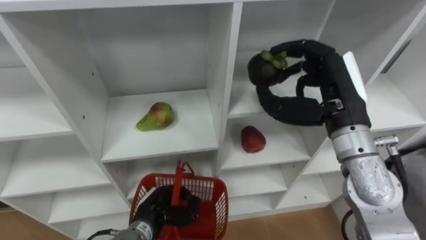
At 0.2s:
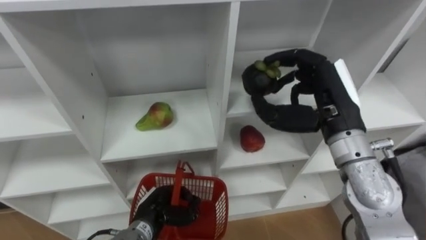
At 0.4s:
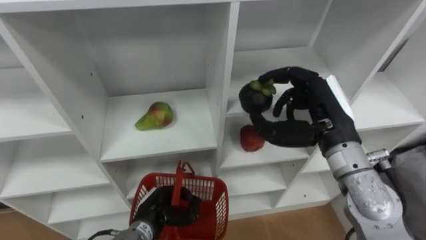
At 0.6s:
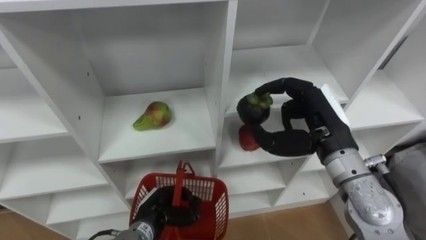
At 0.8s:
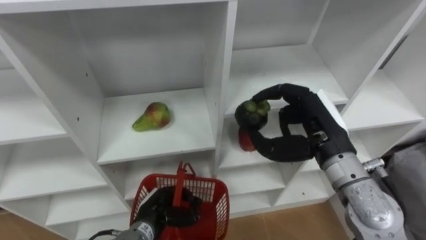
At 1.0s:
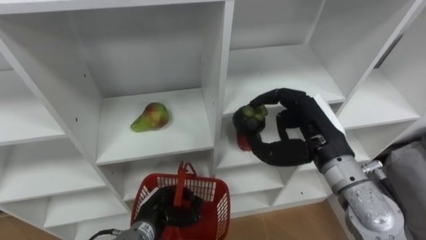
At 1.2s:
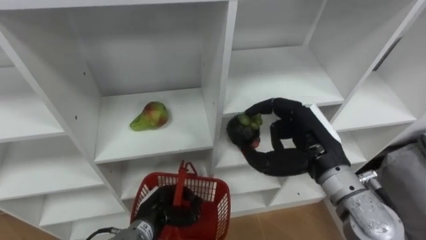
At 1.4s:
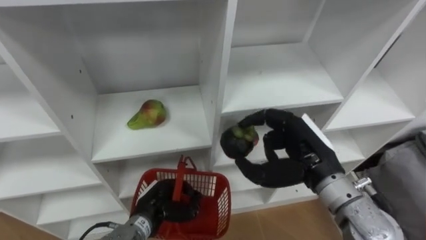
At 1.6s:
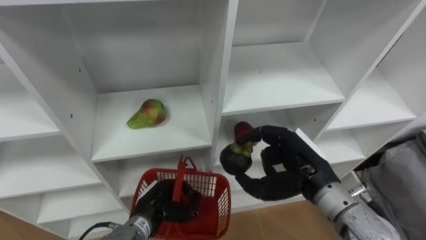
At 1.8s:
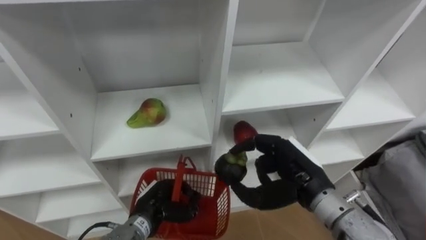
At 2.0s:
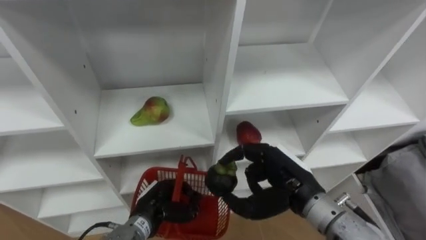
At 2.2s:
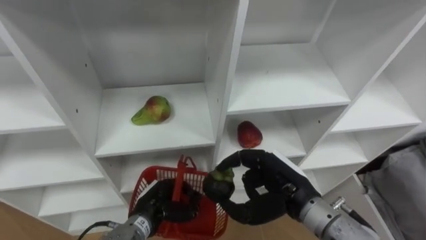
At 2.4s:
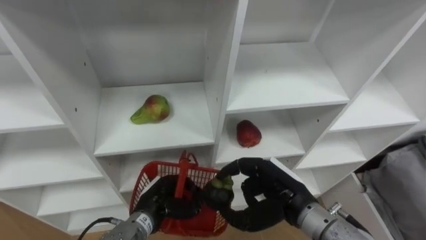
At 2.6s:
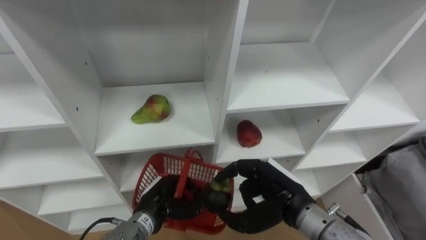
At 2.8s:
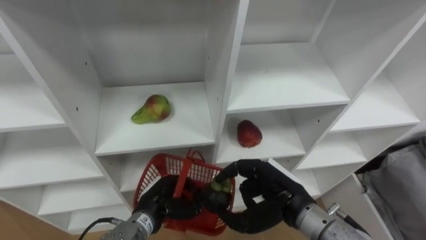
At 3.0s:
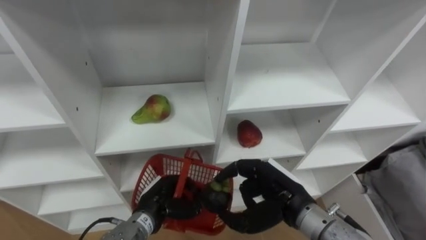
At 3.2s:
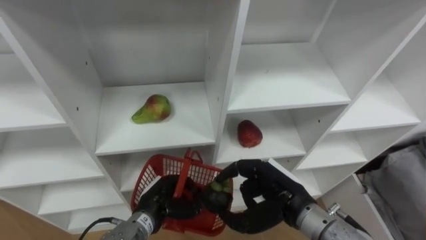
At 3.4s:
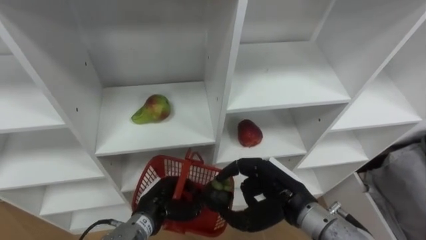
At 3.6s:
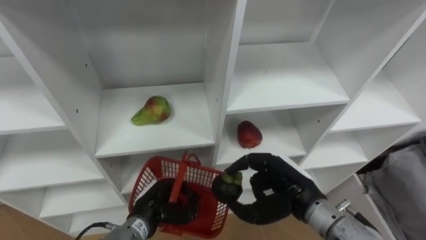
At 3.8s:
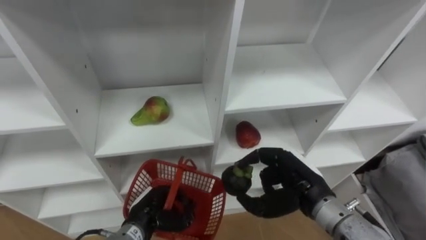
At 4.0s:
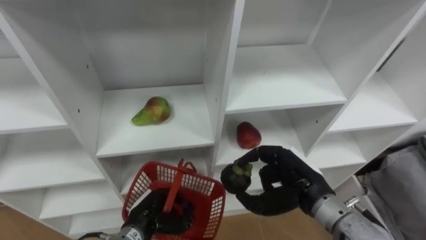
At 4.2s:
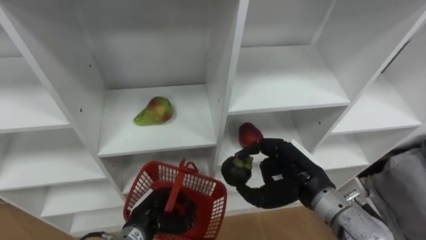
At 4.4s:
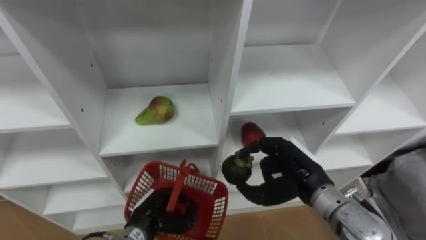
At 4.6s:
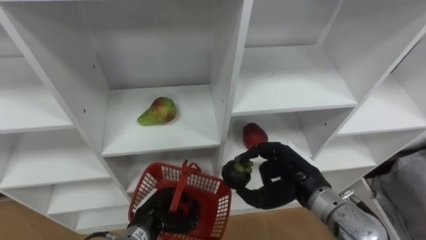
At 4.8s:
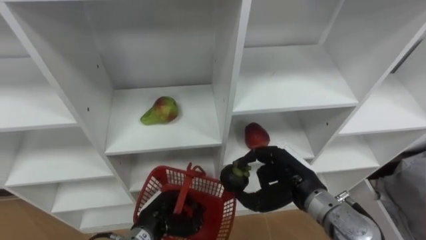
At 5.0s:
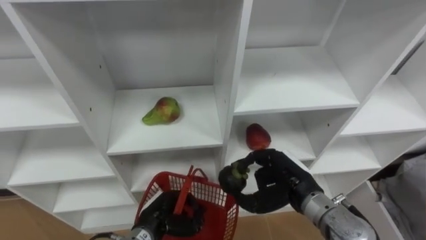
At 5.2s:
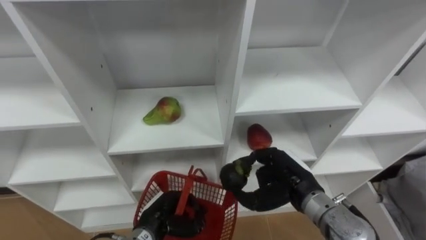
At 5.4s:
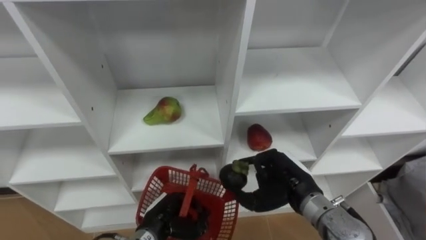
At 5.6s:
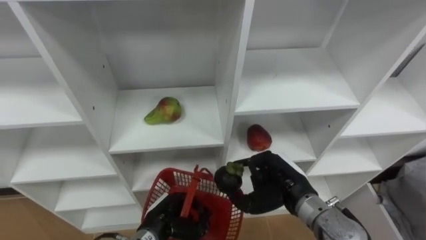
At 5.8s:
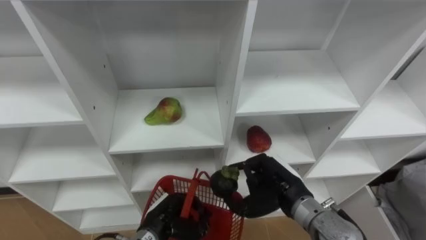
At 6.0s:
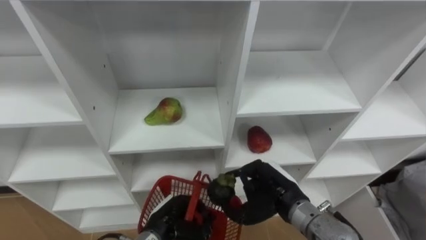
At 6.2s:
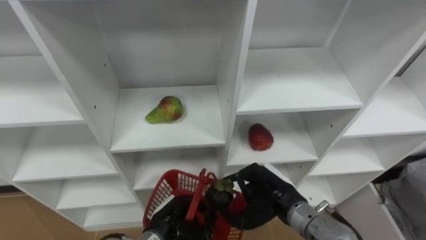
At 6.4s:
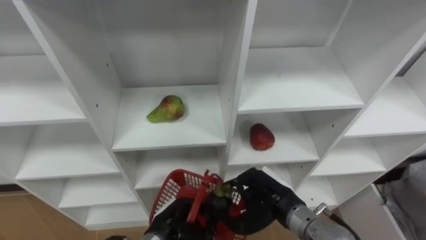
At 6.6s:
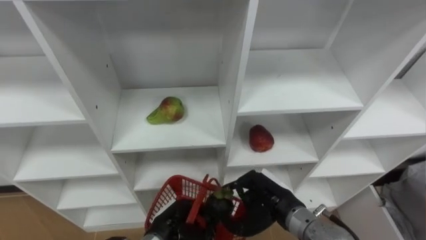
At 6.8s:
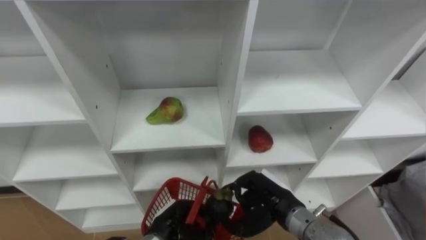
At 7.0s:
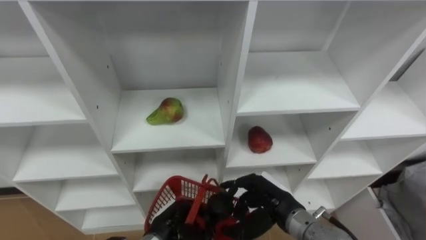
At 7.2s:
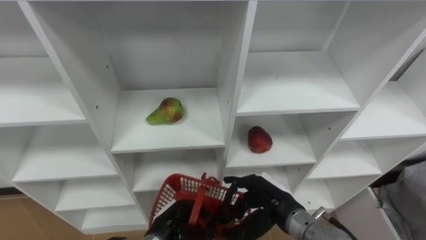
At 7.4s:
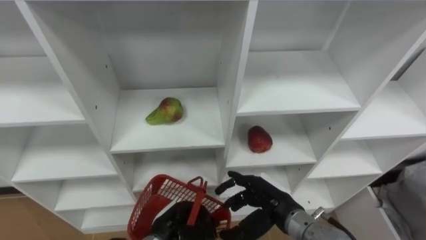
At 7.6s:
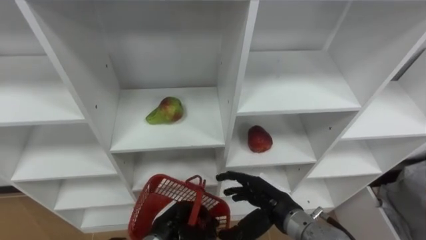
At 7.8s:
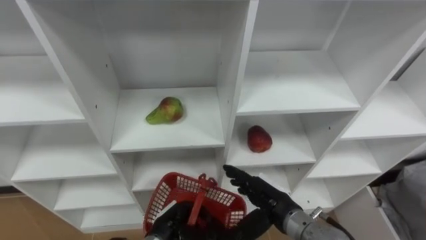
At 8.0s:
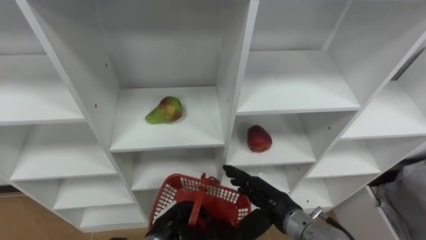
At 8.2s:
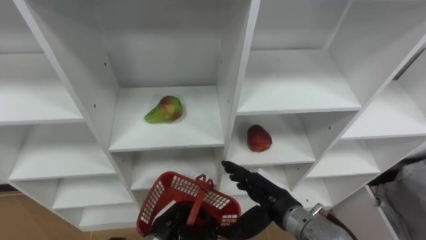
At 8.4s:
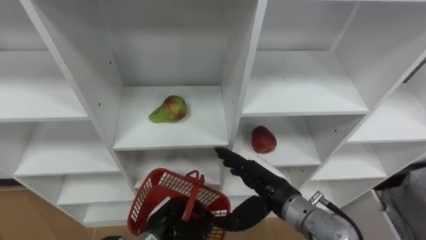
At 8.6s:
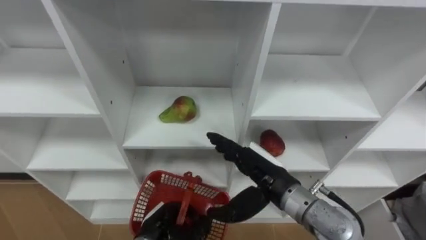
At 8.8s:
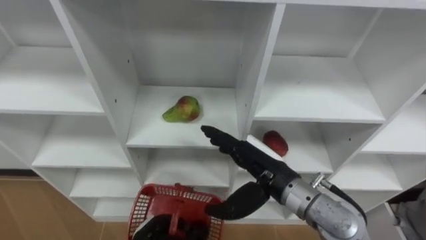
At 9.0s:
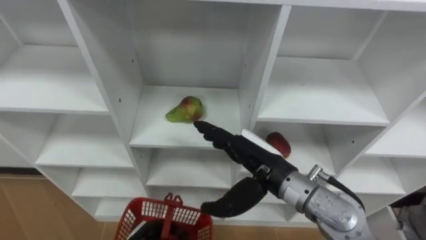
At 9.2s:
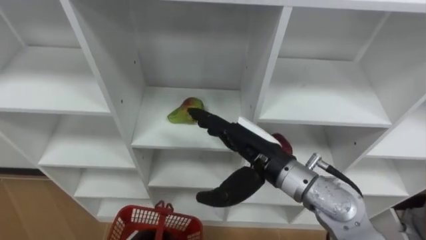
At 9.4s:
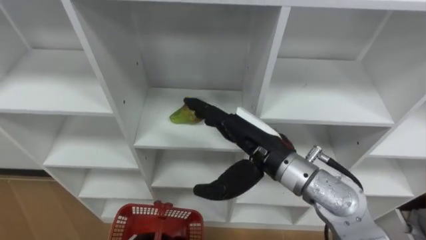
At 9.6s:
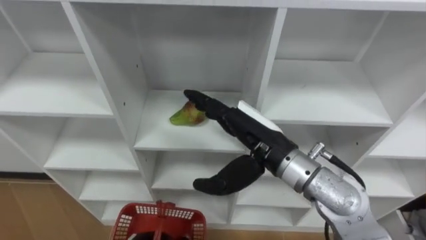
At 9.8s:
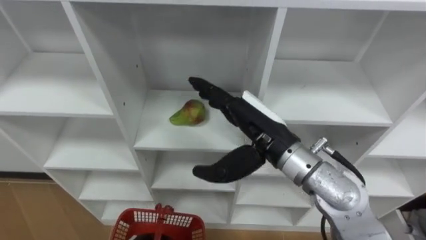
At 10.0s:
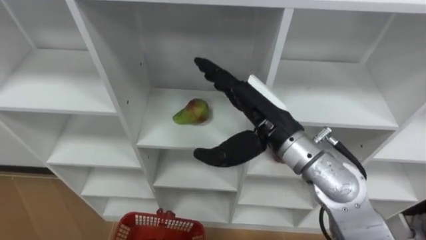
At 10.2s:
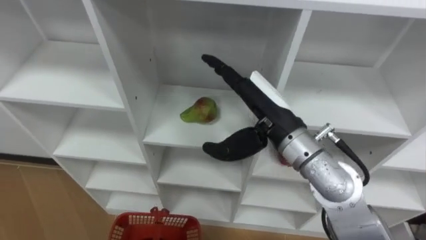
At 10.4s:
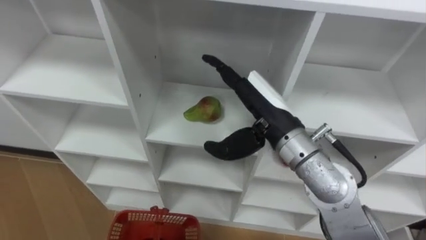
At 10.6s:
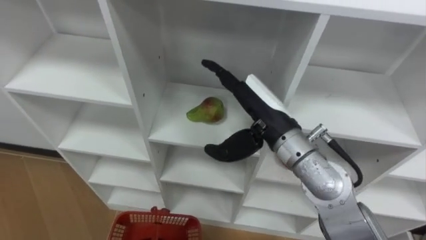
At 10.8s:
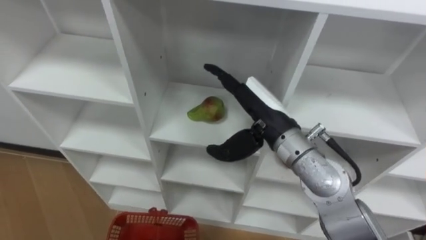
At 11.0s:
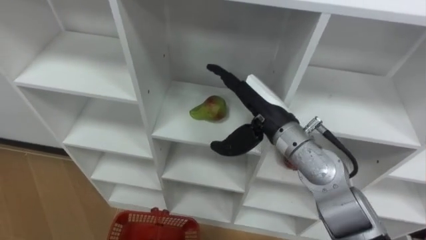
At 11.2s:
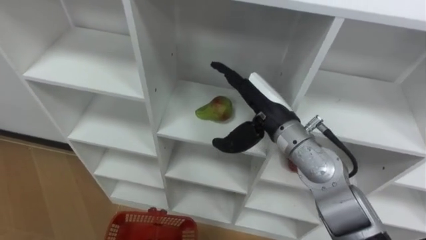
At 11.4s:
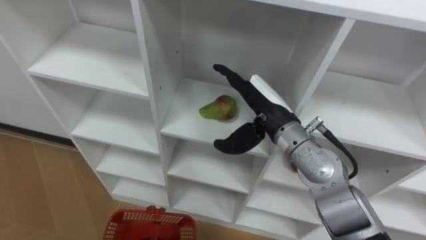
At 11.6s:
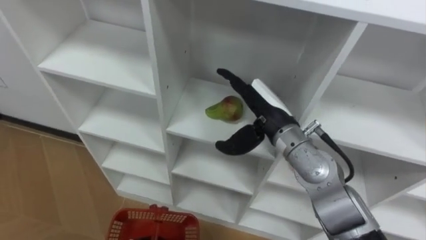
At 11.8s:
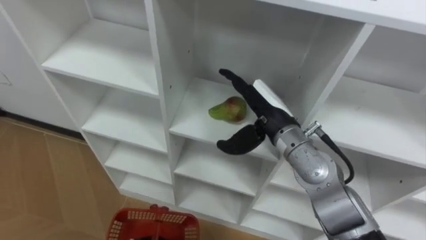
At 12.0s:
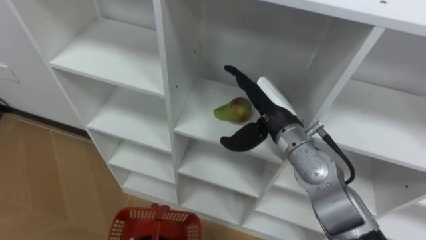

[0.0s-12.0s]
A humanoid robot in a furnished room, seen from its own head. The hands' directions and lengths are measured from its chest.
Task of the whole recording: Hold the basket and collect the fruits from 3 different cells of the closet into it.
0.0s to 1.6s: The right hand shifts about 10 cm downward and backward.
1.6s to 3.0s: The right hand moves some 5 cm.
4.4s to 6.0s: The right hand moves roughly 5 cm.
6.0s to 7.6s: The right hand opens.
7.6s to 9.0s: The right hand shifts roughly 10 cm upward.
9.0s to 10.4s: The right hand moves upward, about 10 cm.
10.4s to 12.0s: The right hand heads downward, covering approximately 5 cm.

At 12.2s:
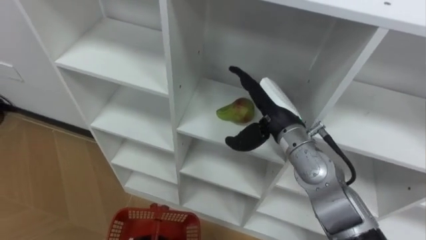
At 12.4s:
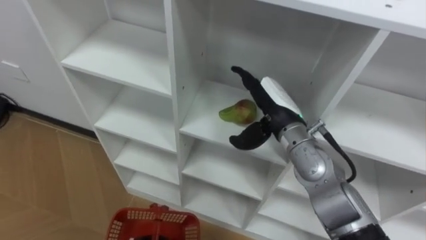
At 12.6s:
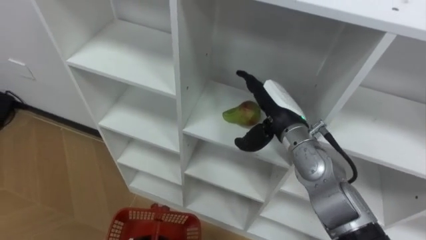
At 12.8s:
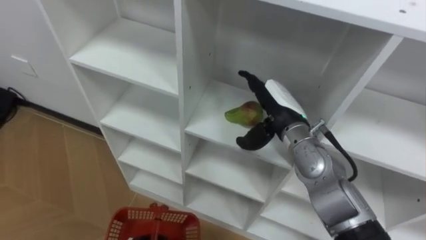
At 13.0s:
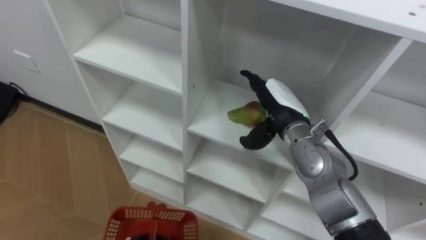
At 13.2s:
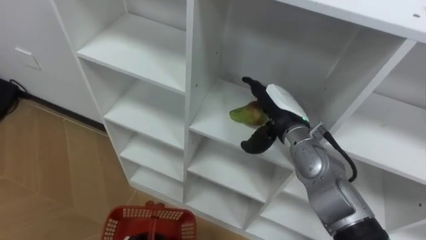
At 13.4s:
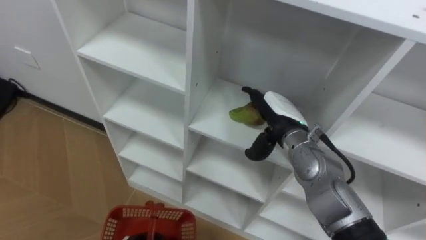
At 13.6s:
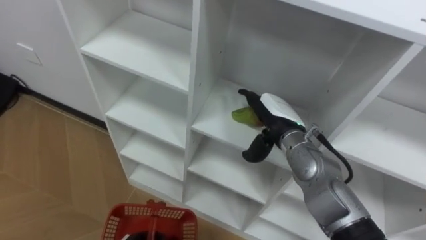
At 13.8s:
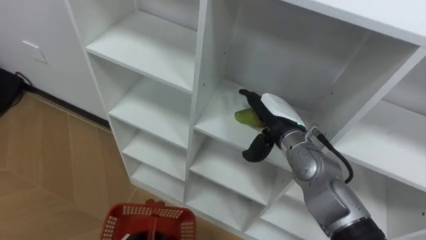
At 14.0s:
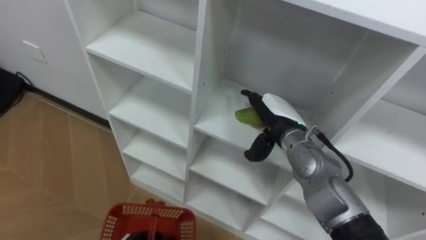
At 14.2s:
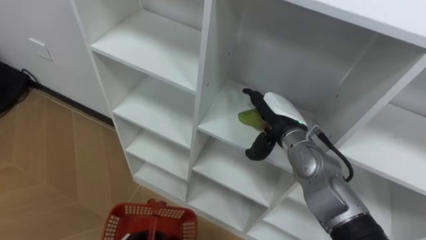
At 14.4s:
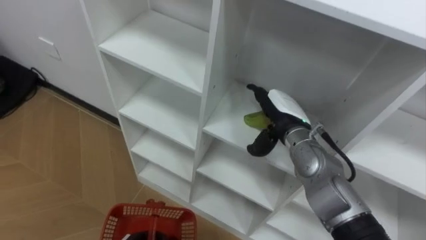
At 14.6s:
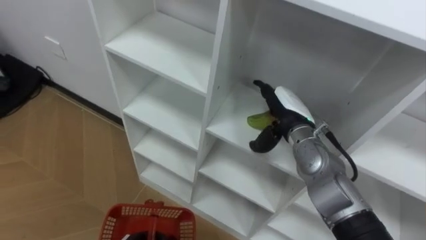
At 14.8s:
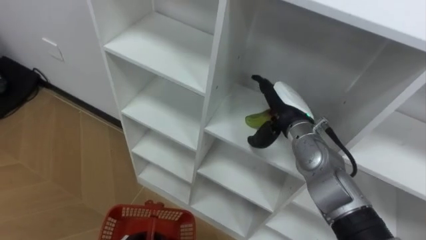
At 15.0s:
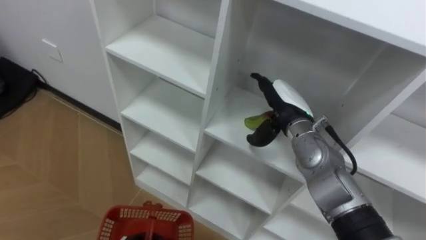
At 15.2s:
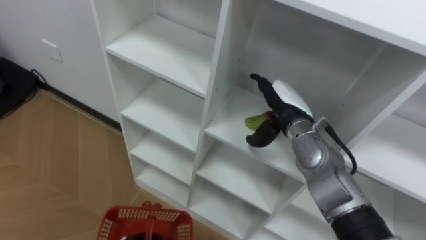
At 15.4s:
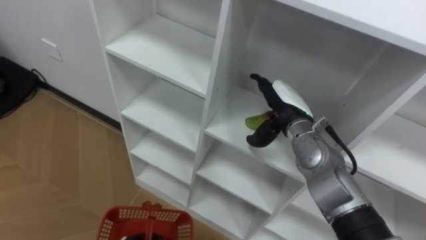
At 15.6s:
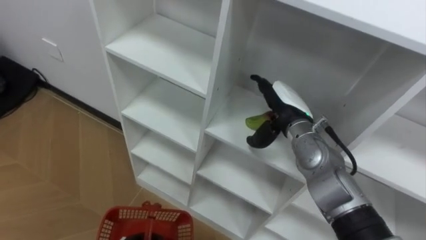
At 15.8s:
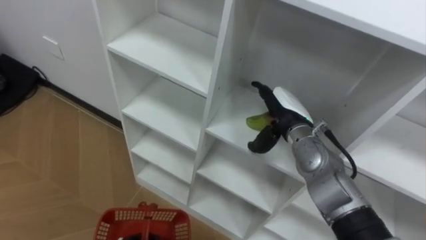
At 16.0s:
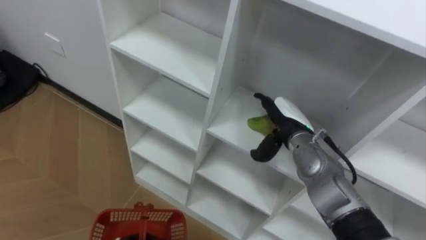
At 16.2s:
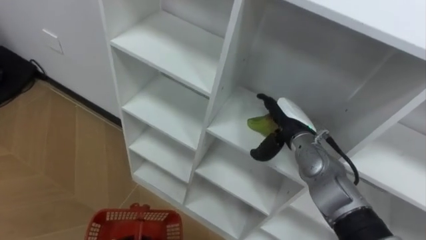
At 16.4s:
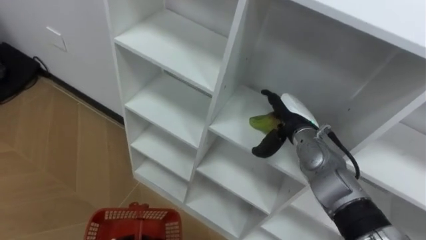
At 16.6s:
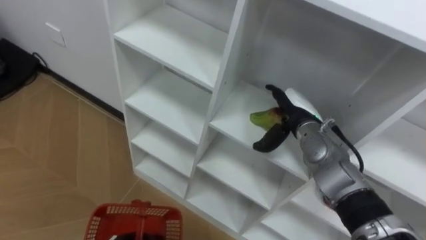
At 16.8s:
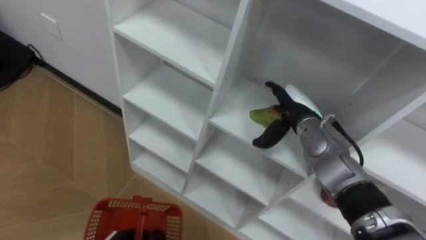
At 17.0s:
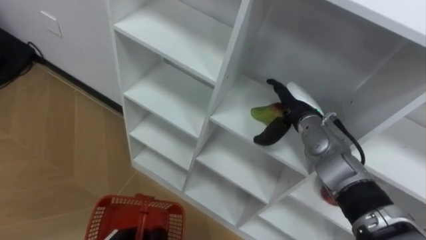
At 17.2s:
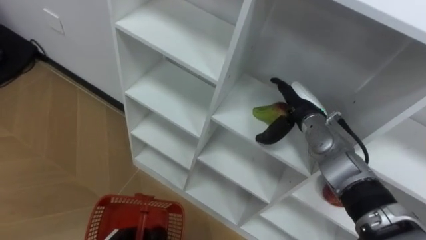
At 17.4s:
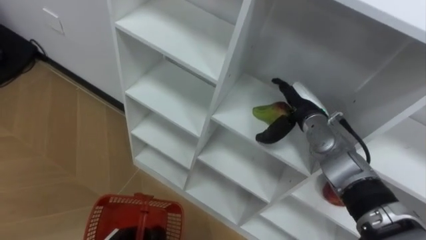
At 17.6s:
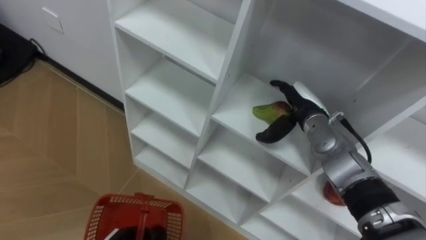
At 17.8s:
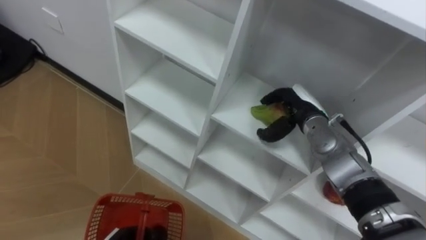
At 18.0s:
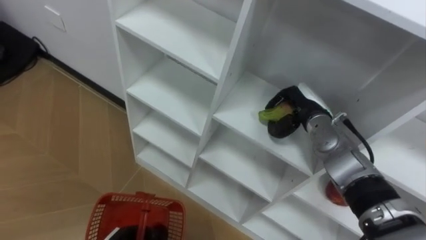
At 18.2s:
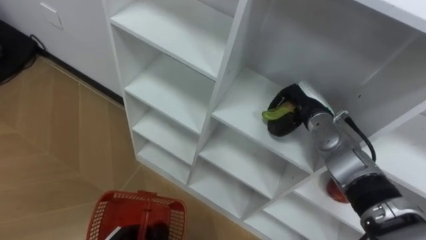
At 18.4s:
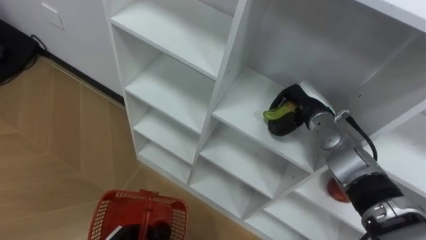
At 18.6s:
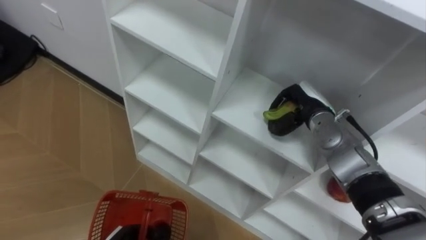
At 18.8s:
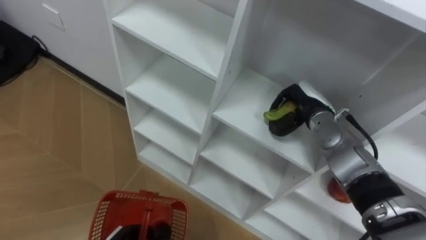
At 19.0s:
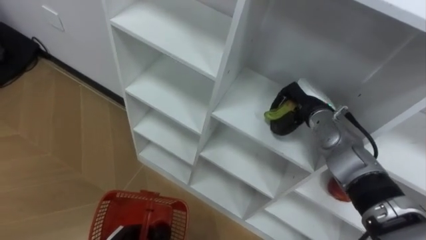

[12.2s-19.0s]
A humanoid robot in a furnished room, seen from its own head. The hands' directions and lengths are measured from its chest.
Task of the whole recording: Hold the basket and collect the fruits from 3 different cells of the closet into it.
17.6s to 19.0s: The right hand closes.
